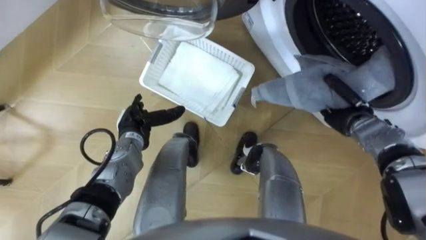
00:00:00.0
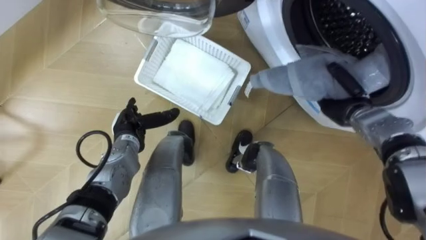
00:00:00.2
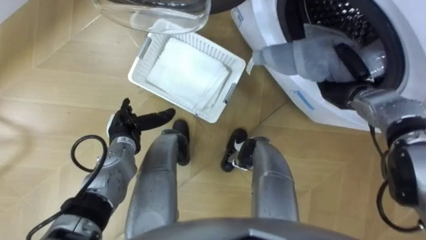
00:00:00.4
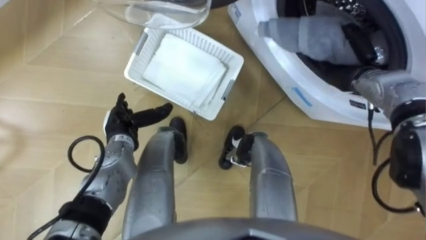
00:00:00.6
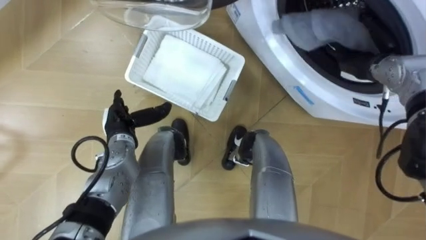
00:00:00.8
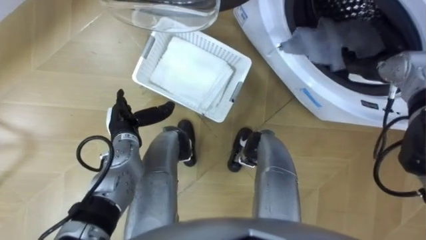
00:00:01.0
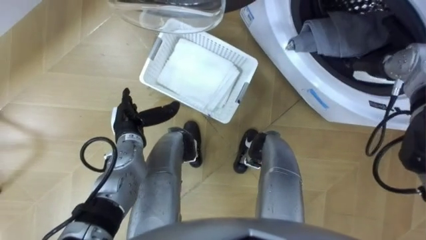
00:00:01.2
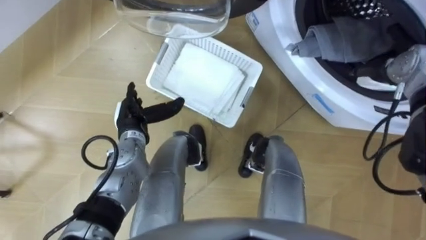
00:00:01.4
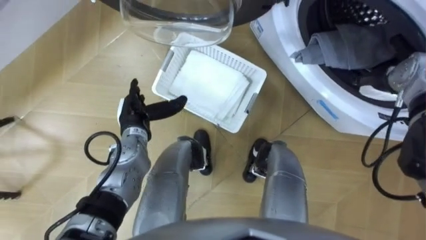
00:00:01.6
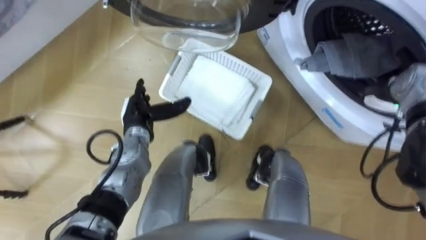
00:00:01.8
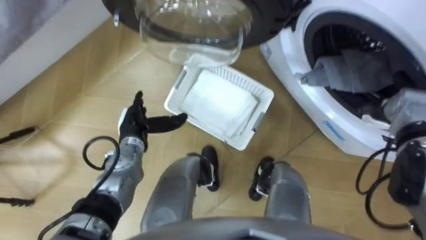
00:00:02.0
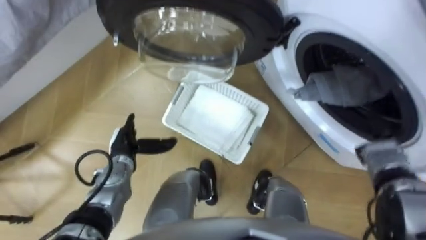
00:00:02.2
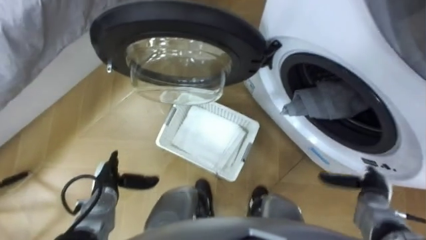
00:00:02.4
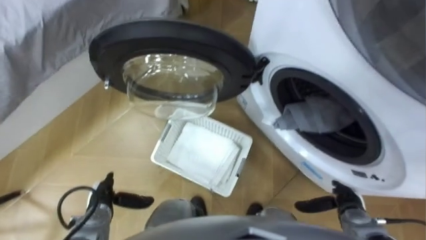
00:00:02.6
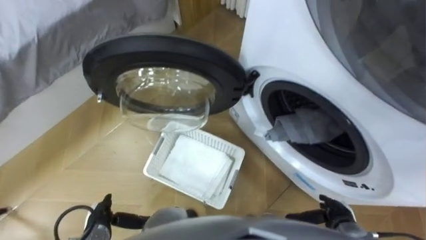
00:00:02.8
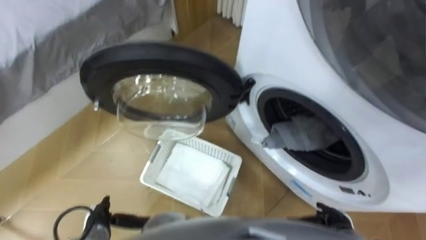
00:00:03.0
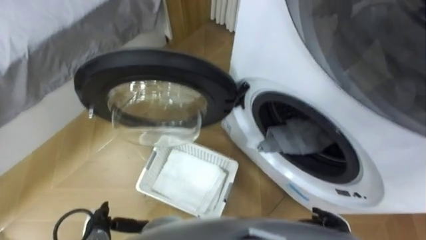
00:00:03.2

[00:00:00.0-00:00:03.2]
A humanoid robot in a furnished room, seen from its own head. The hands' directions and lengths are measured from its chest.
Task of the whole recording: Take the towel from the basket and put it into the washing machine.
00:00:00.0 to 00:00:01.6: The right hand goes approximately 10 cm upward and to the right, and opens its fingers.
00:00:01.6 to 00:00:03.2: Both hands move backward and downward, some 30 cm.

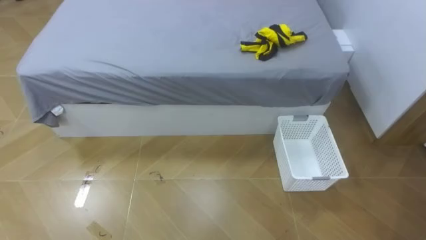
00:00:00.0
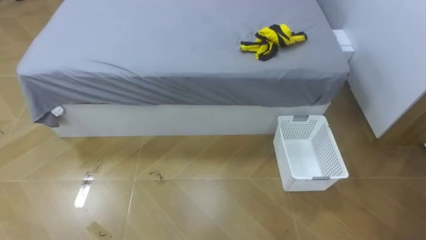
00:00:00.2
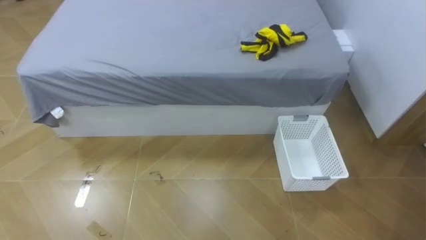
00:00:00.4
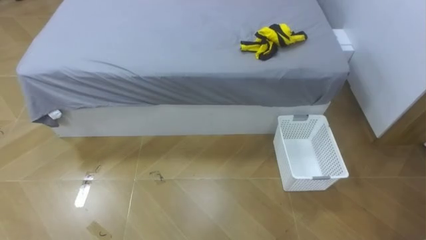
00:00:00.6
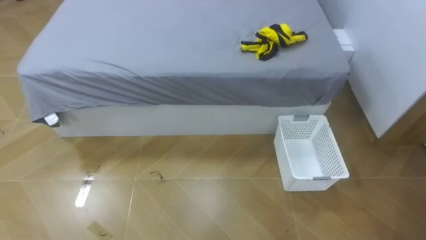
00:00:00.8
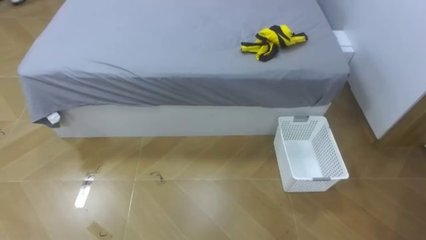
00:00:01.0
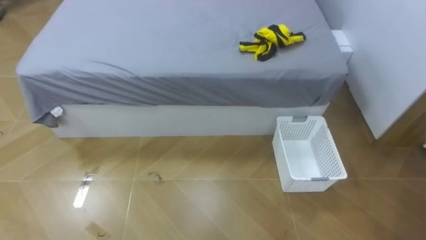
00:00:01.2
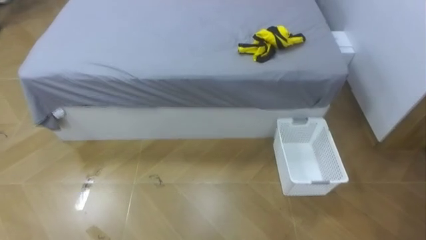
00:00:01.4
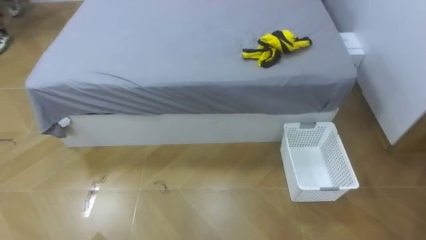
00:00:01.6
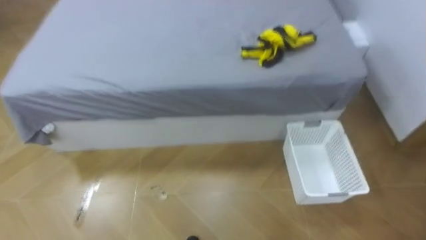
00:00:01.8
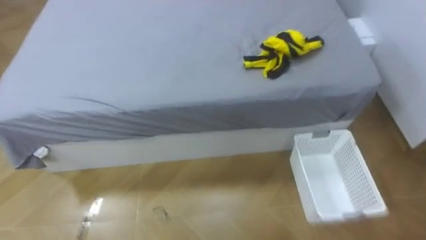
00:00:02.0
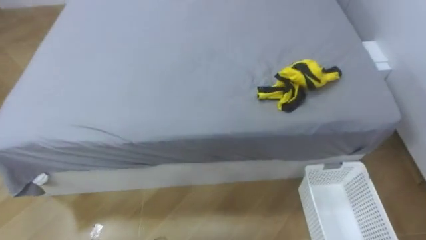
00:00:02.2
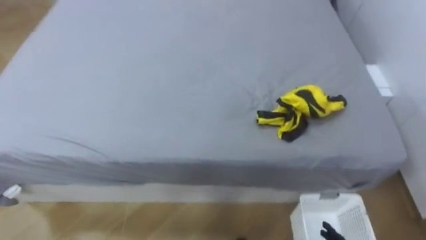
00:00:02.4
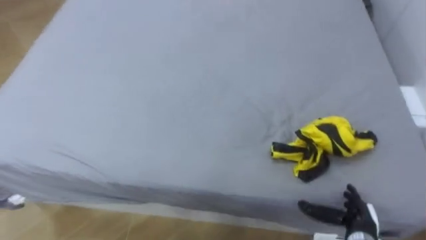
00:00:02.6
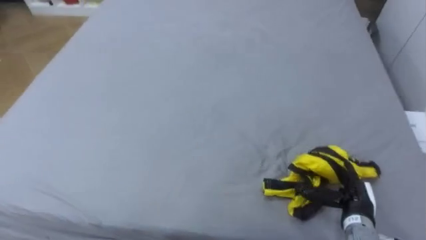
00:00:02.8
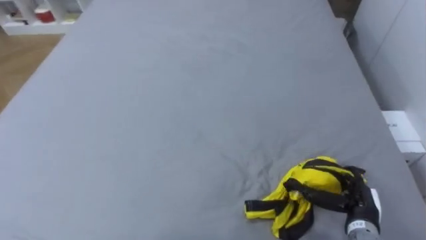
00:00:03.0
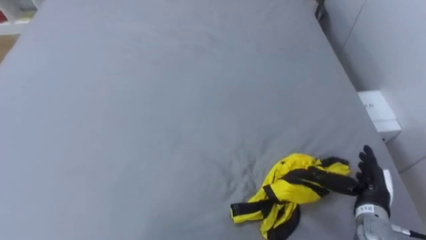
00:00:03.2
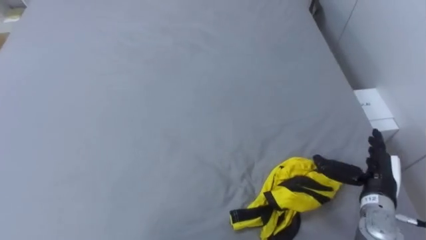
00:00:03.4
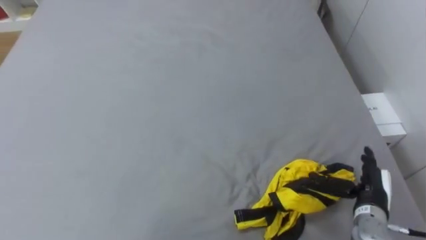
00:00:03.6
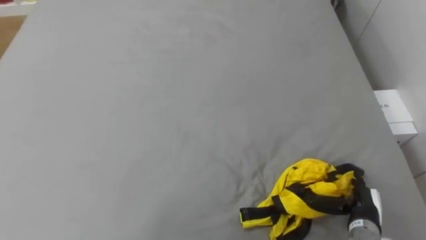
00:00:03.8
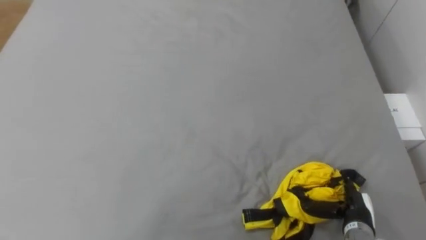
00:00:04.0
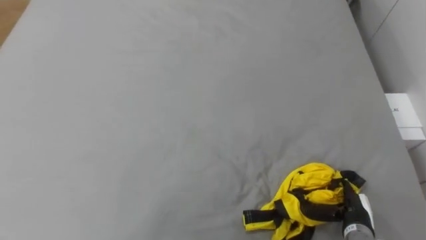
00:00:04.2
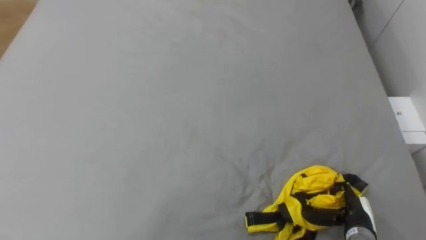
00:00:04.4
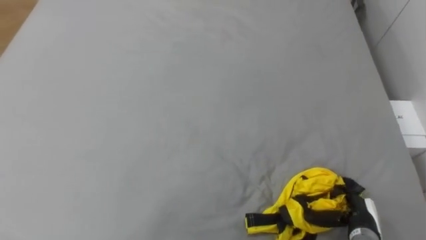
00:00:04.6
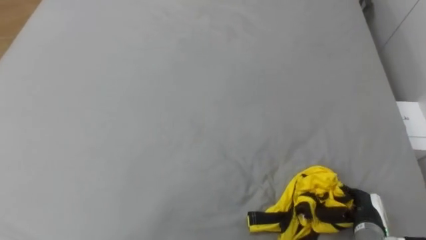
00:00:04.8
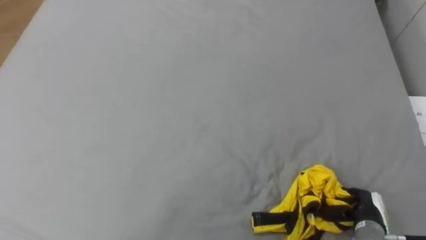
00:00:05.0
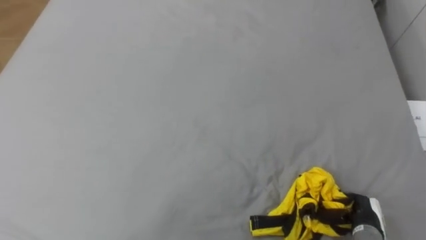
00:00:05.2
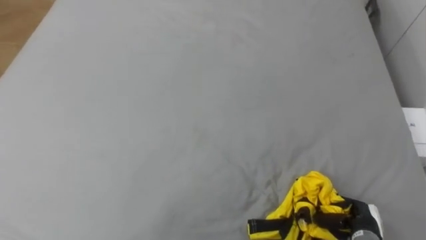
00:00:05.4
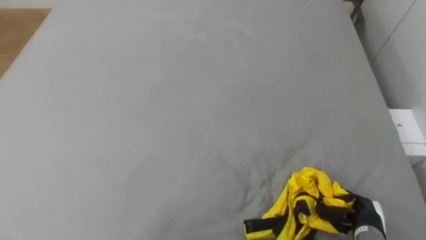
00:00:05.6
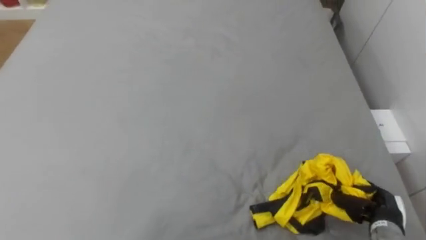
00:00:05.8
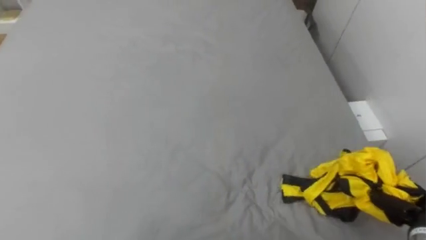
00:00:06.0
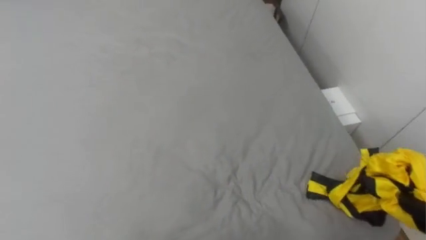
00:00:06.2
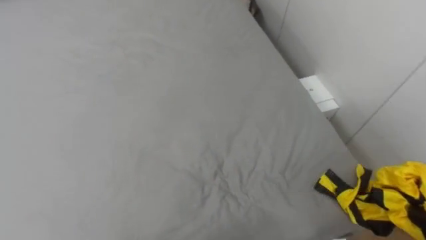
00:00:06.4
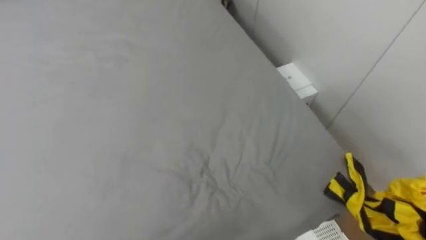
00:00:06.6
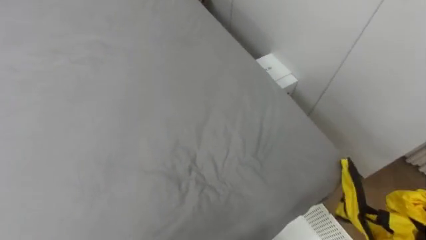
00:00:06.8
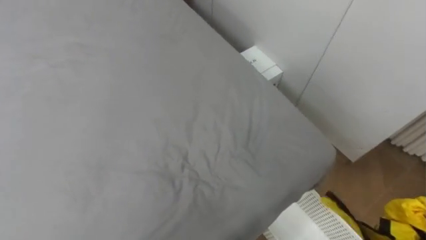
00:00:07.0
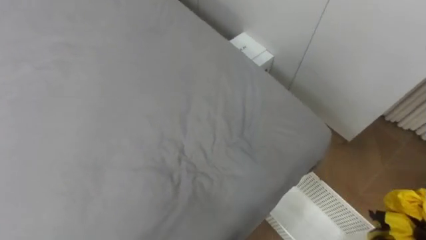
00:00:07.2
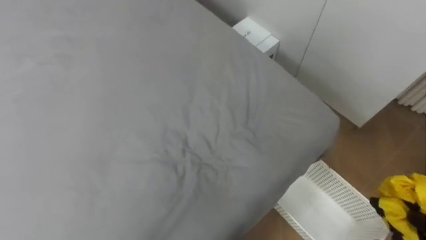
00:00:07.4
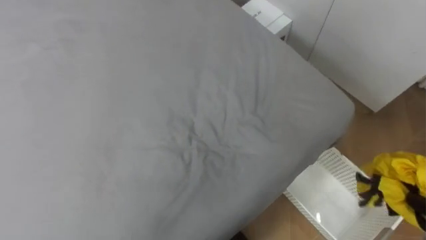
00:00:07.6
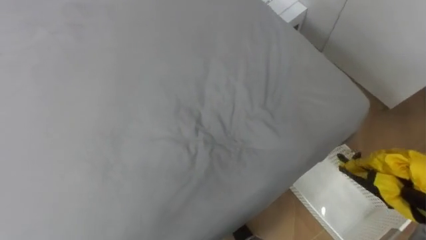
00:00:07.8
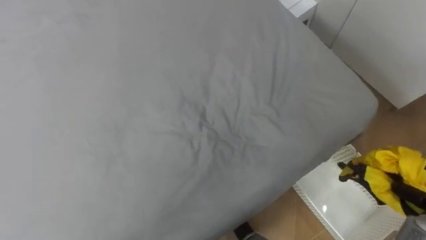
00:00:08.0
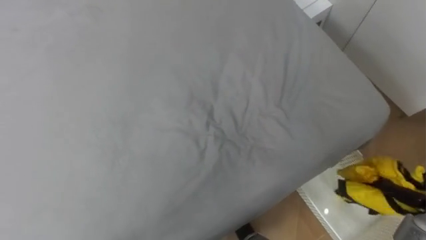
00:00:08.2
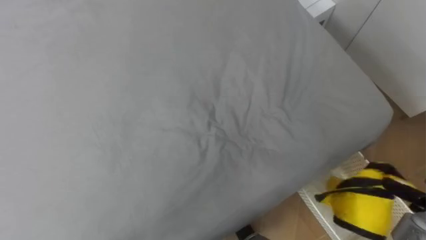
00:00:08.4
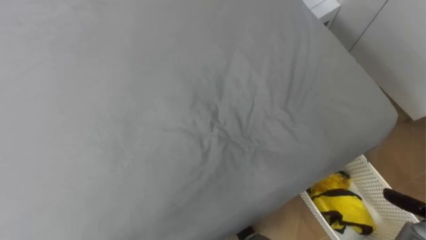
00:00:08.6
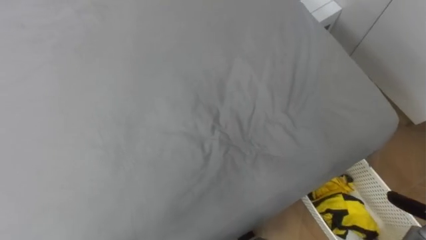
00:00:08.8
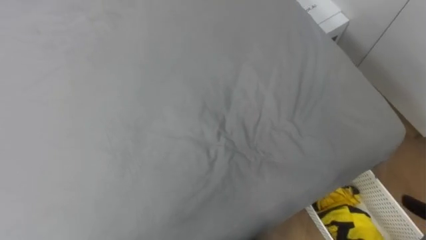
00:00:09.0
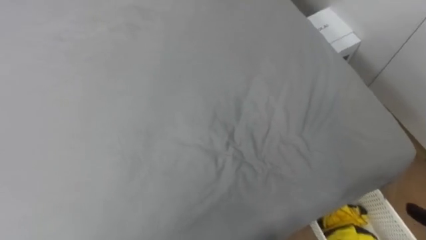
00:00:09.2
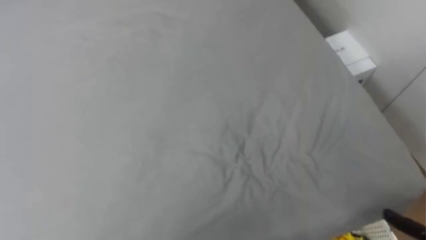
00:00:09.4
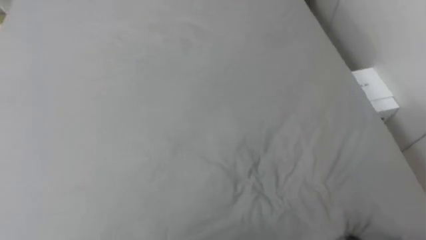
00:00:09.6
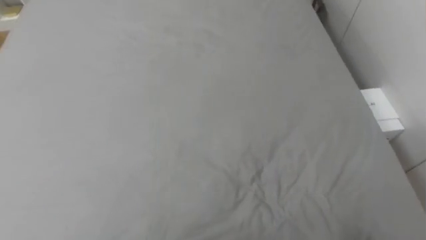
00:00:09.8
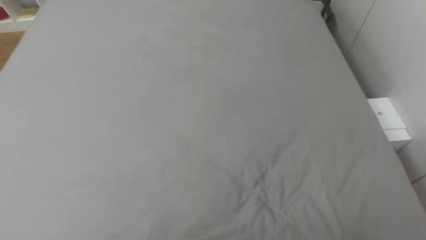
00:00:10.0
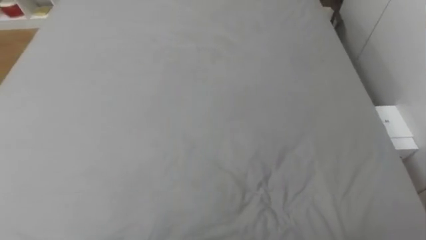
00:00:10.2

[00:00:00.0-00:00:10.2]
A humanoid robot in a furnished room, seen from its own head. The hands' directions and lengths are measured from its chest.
Task of the whole recording: Pick up the yellow clothes on the bed and place them into the white basket on the right.
00:00:04.4 to 00:00:05.8: The right hand ends up about 5 cm from where it was, and closes its fingers.
00:00:08.8 to 00:00:10.2: The robot faces approximately 20 degrees further to its left.

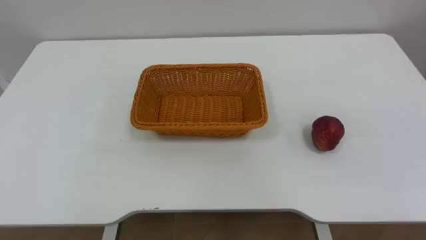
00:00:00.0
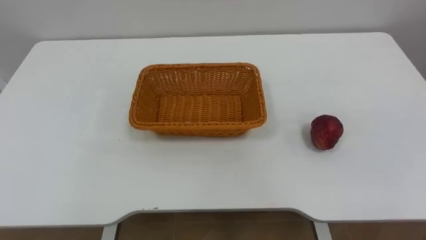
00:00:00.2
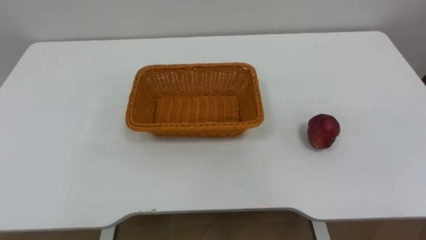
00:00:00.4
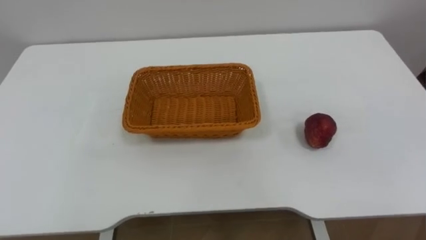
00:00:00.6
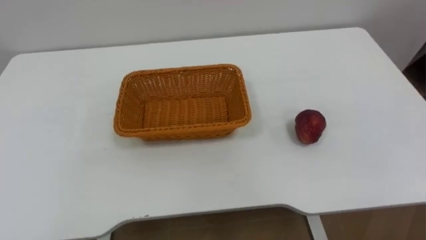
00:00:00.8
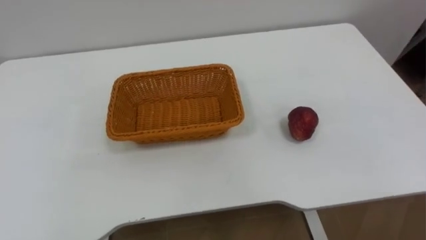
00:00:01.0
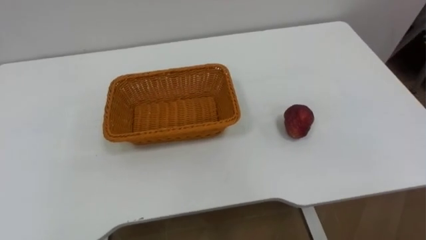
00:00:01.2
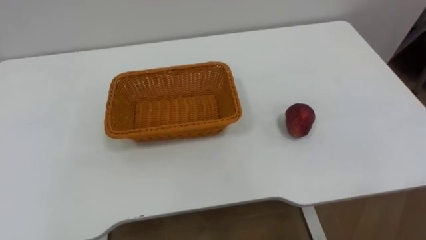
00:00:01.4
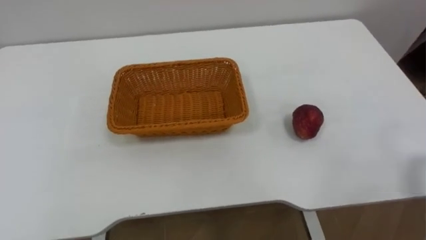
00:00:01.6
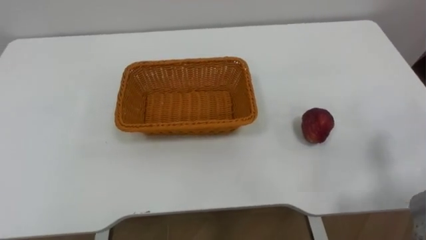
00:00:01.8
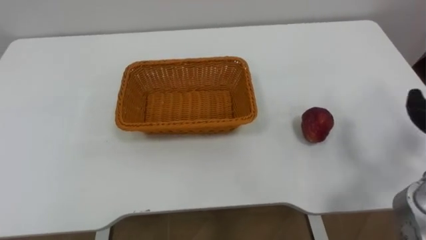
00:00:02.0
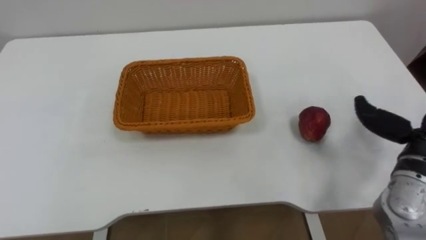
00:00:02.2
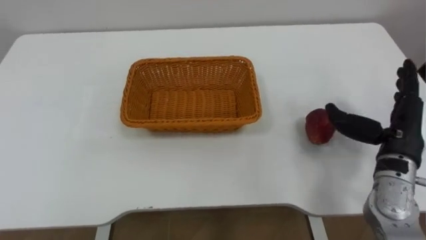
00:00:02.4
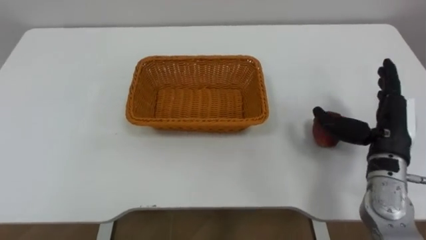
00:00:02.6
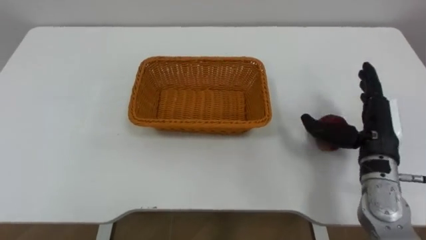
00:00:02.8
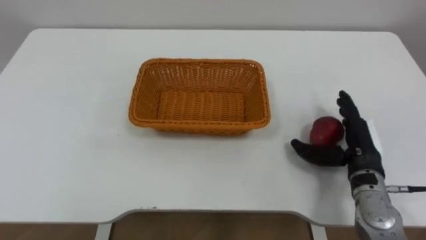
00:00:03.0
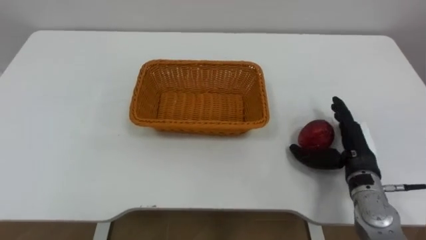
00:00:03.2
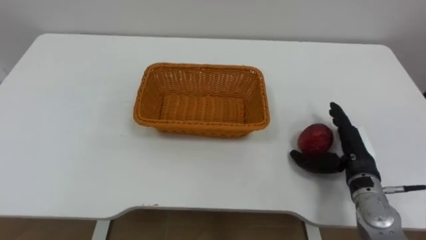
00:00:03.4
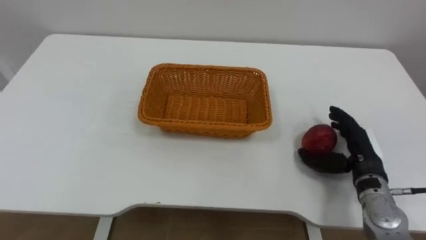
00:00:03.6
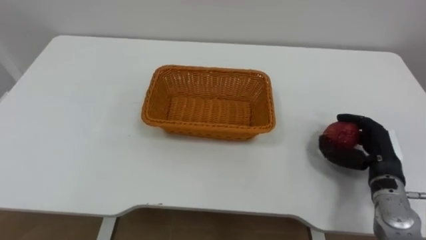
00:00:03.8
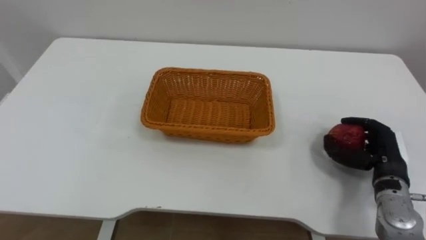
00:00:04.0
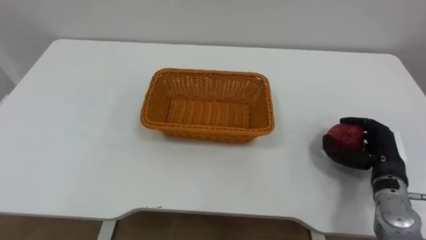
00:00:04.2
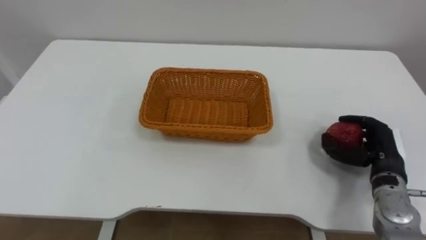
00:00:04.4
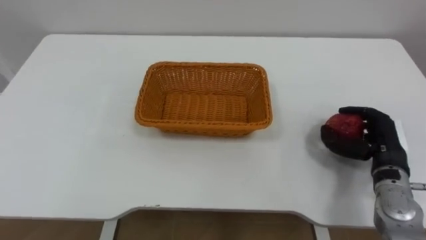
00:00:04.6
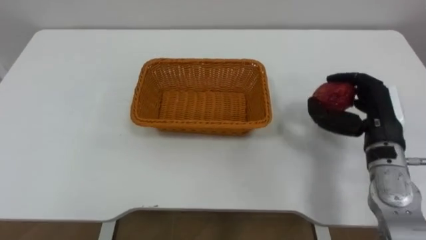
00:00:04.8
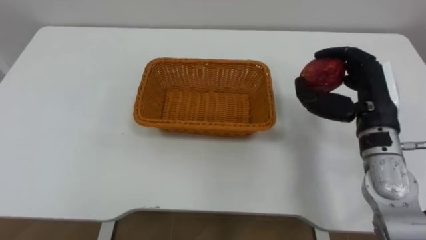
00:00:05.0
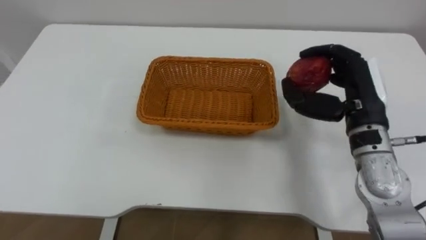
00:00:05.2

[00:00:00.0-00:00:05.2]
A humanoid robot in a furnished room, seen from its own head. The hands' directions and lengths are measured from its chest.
Task of the whole recording: Pick the apple and place it in the box.
00:00:03.4 to 00:00:05.2: The right hand heads upward, covering some 15 cm, and closes.
